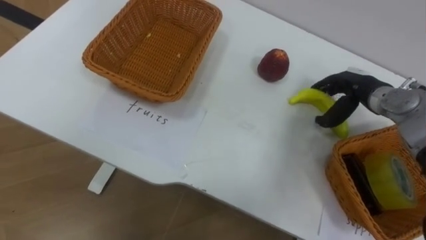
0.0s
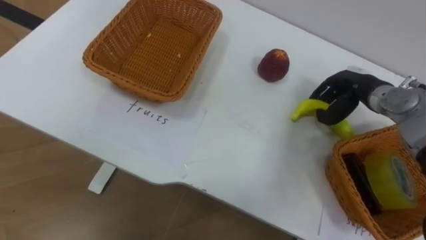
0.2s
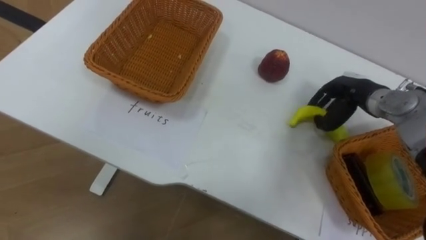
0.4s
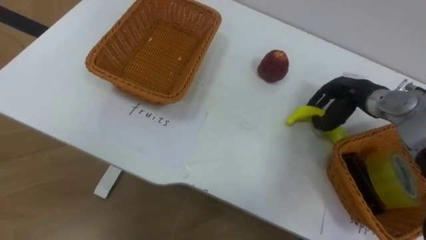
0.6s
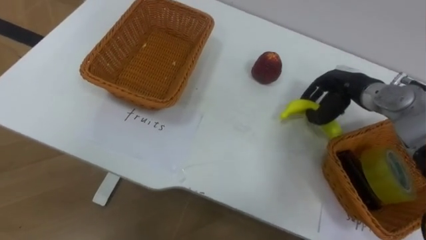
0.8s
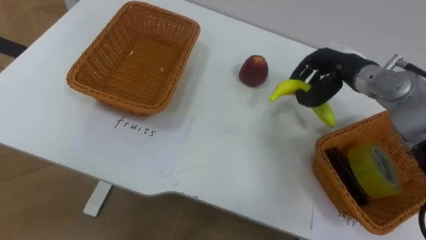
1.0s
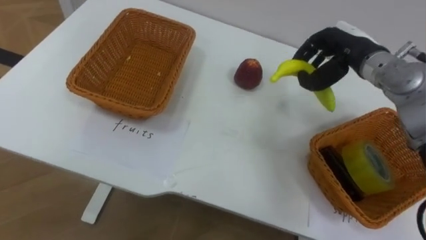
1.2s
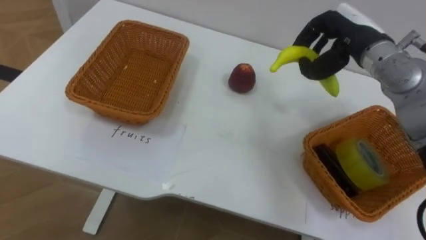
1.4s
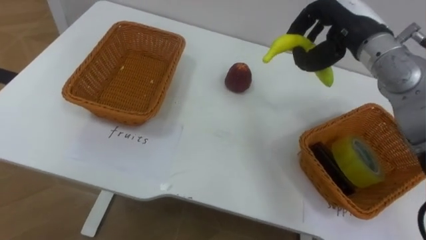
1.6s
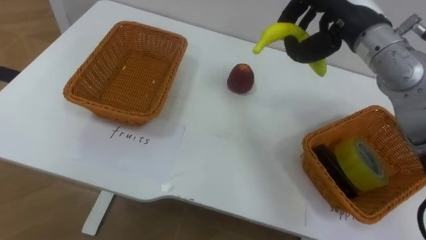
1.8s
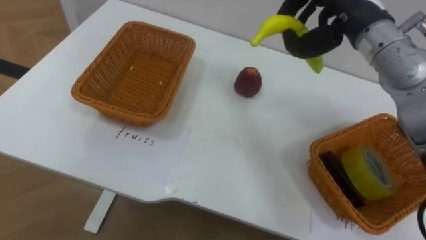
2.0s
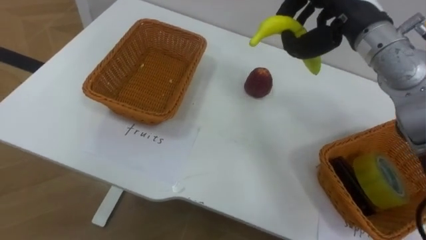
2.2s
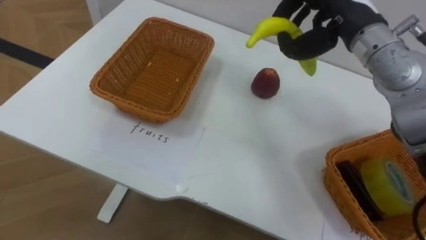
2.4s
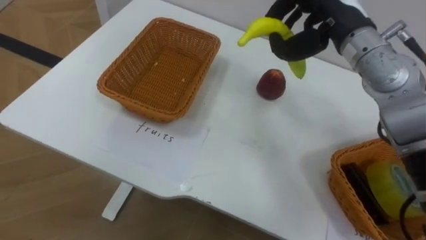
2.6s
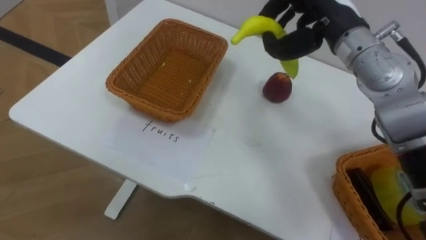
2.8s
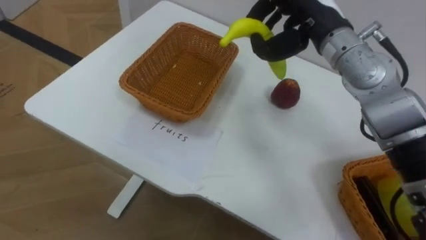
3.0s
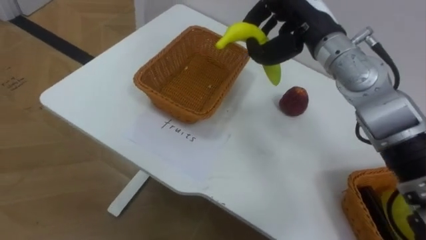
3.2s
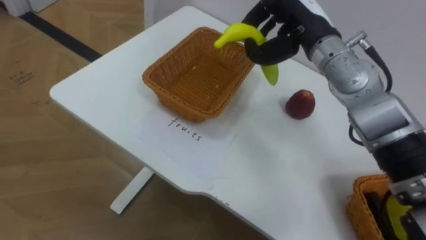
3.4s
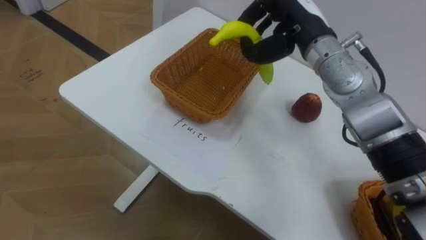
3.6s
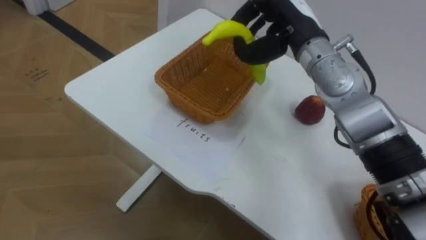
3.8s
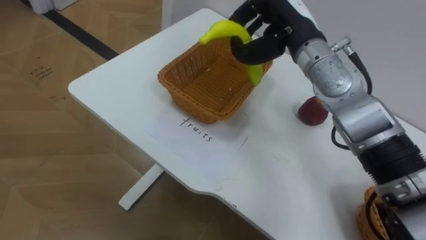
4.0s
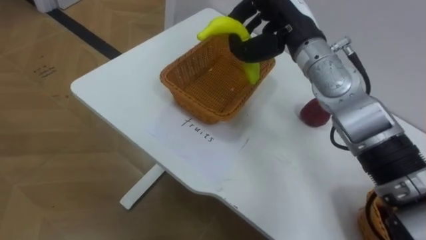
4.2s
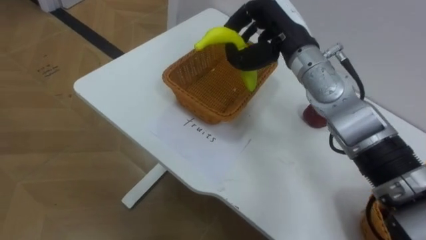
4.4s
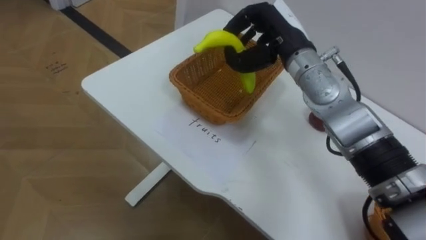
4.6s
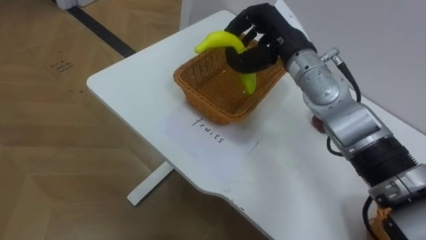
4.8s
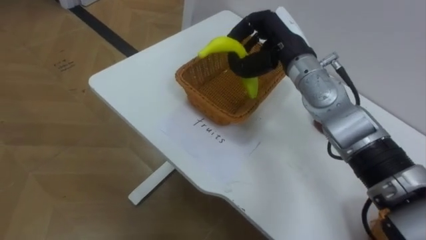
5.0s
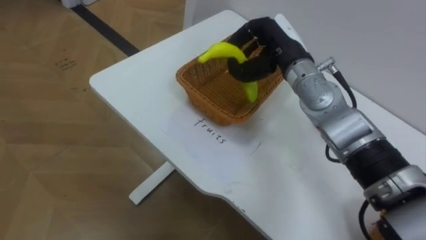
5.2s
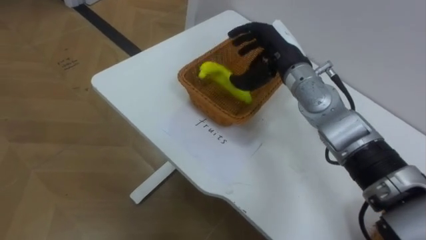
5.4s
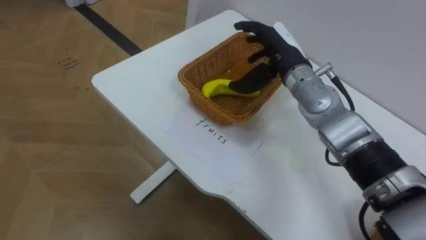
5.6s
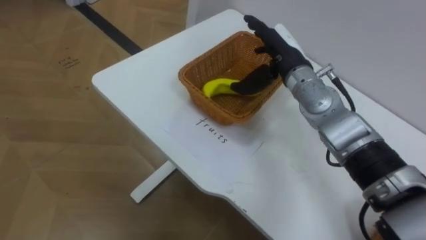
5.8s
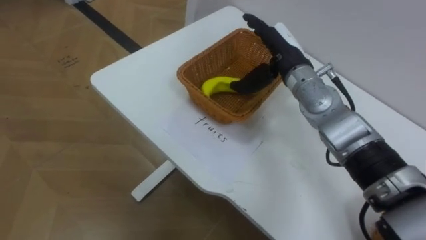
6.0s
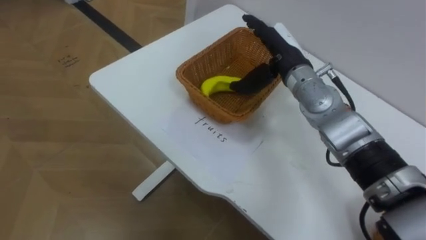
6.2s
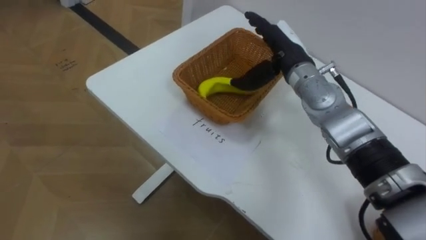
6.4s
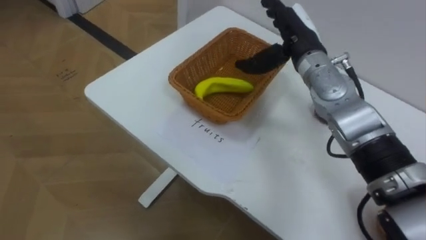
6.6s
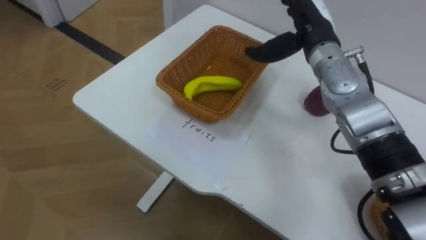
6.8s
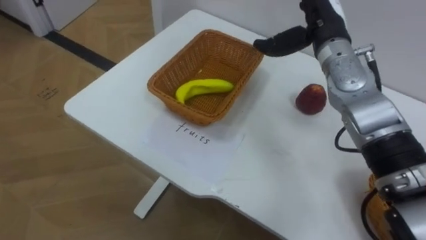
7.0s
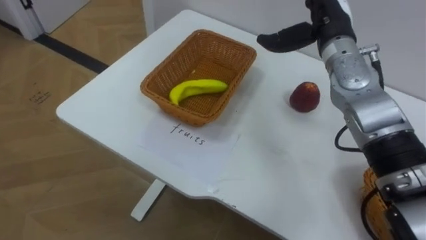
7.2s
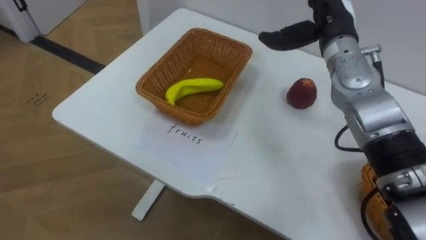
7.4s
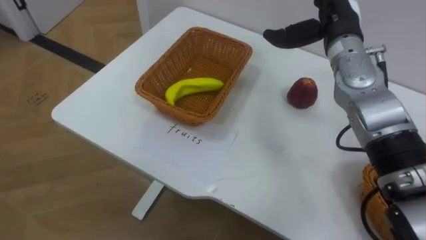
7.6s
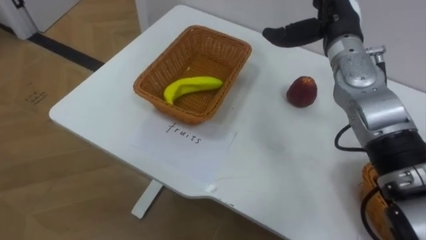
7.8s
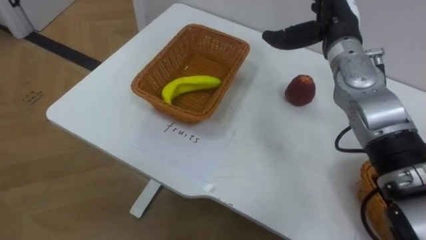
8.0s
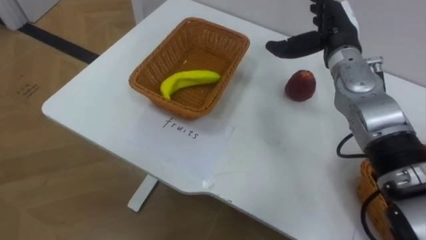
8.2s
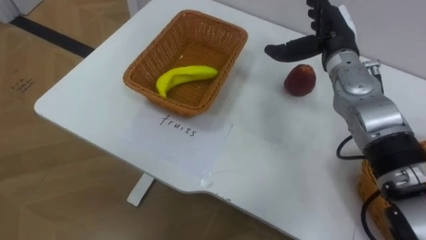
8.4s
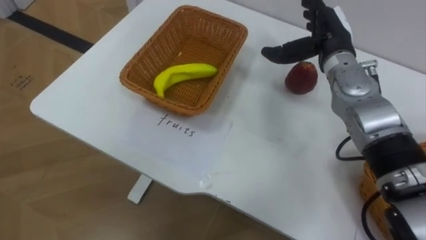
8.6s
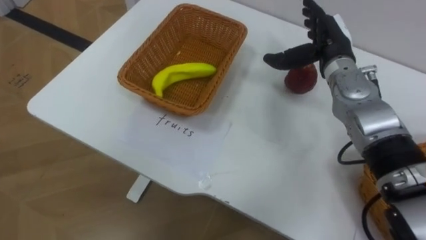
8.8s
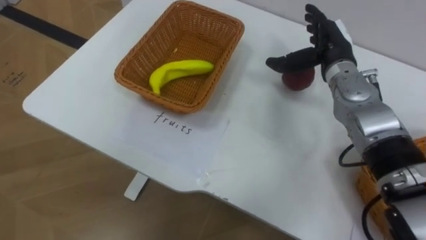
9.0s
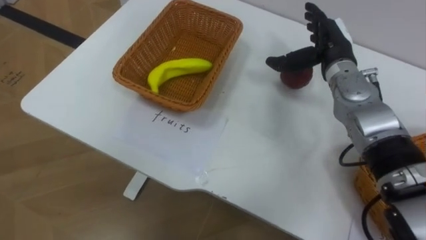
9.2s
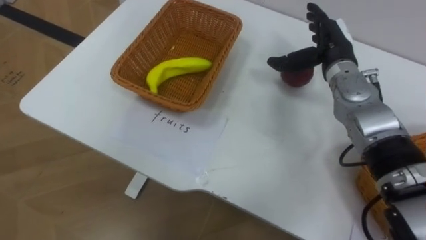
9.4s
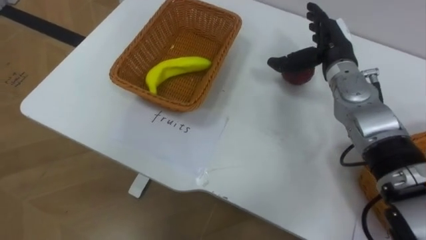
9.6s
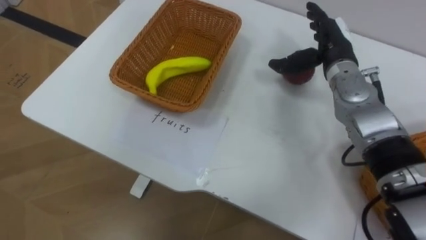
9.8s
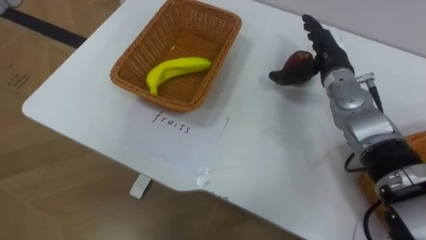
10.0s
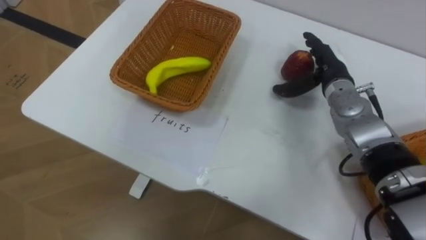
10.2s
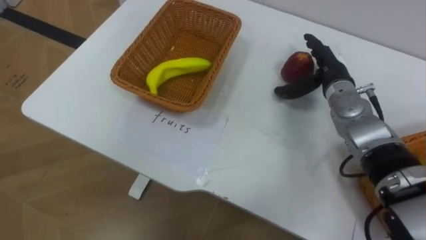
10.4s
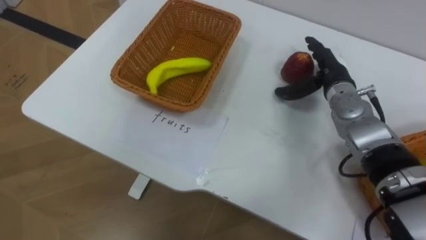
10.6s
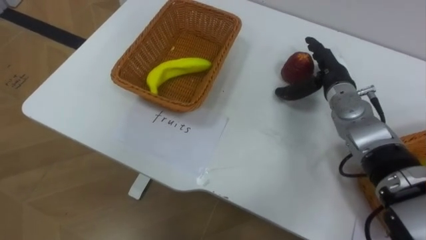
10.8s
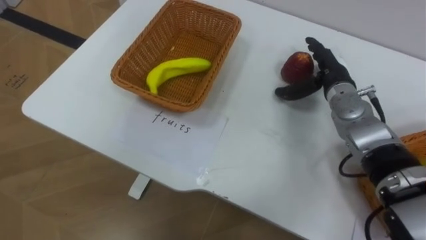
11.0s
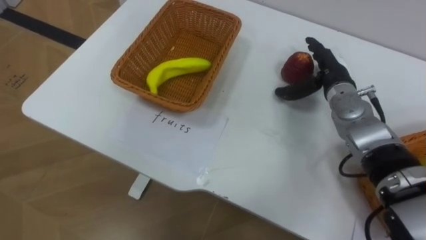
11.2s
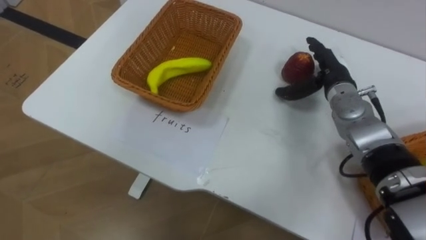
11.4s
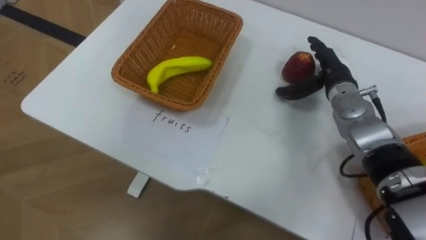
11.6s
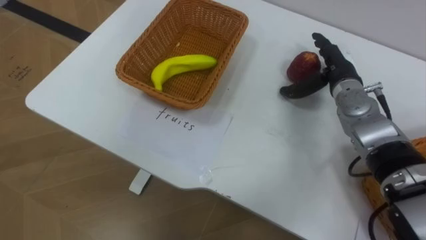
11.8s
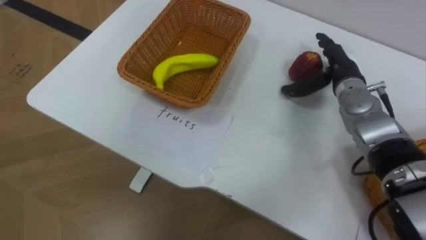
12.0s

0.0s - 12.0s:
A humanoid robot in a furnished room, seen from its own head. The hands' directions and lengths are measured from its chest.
Task of the whole recording: Separate the items on the table and place them into the two baskets.
0.0s - 1.6s: The right hand goes some 15 cm upward and to the left, and closes its fingers.
1.6s - 3.0s: The right hand goes approximately 5 cm to the left.
4.4s - 6.0s: The right hand goes approximately 5 cm downward, and opens.
6.0s - 7.6s: The right hand travels to the right and upward by roughly 10 cm.
7.6s - 9.0s: The right hand shifts about 5 cm downward.

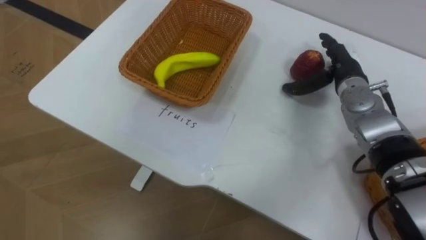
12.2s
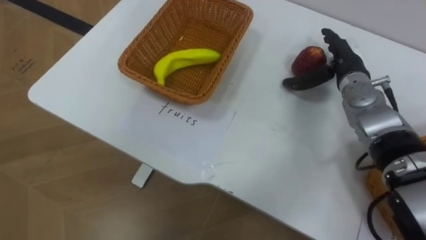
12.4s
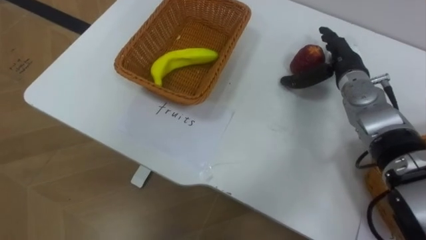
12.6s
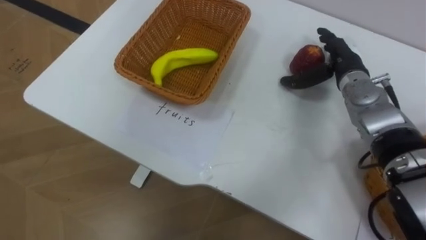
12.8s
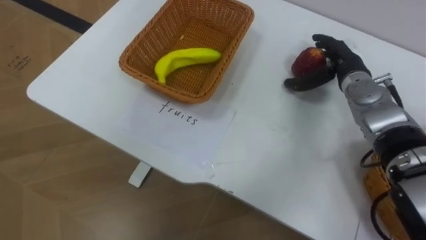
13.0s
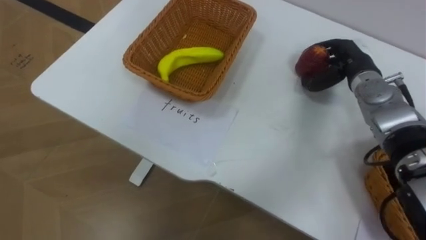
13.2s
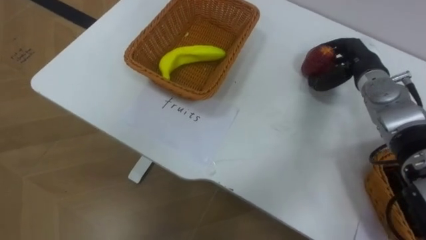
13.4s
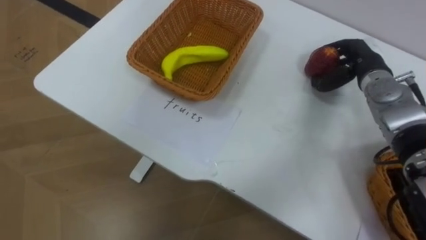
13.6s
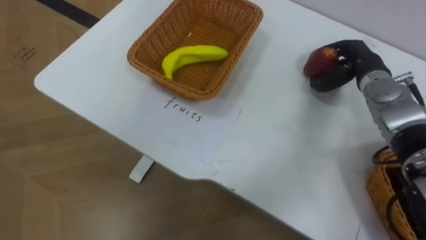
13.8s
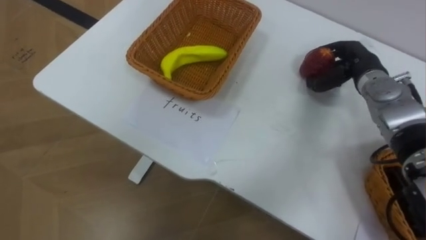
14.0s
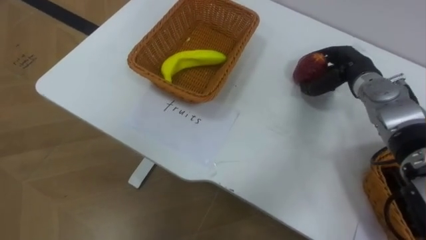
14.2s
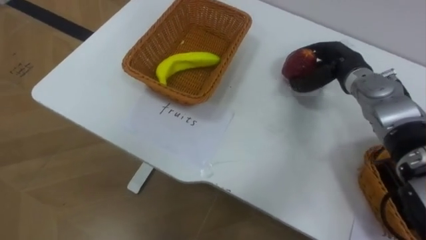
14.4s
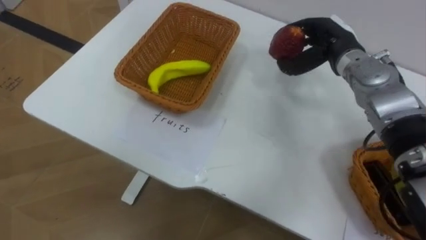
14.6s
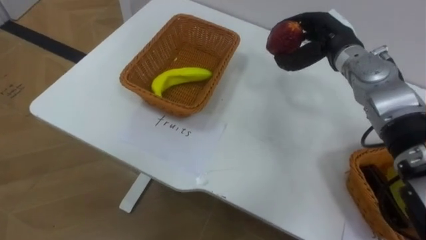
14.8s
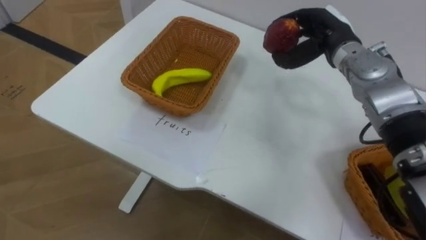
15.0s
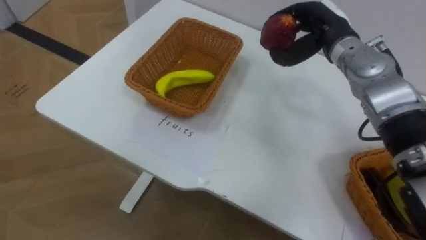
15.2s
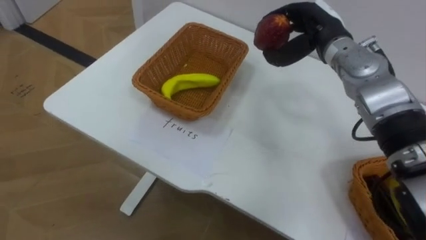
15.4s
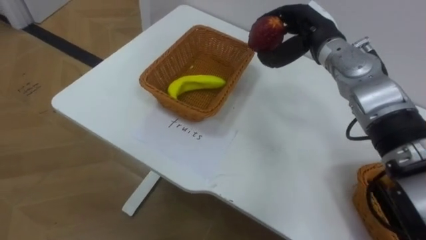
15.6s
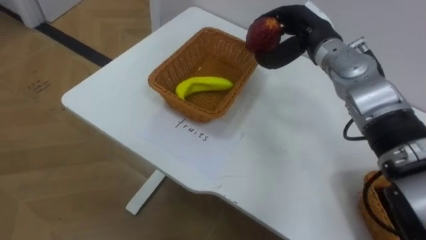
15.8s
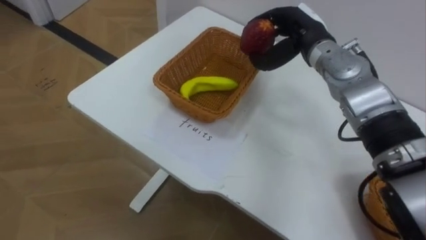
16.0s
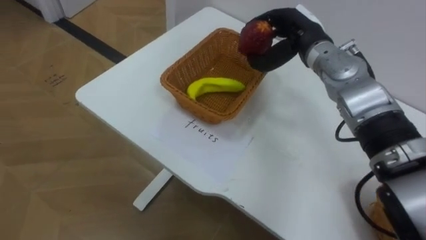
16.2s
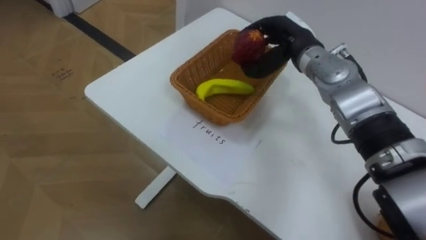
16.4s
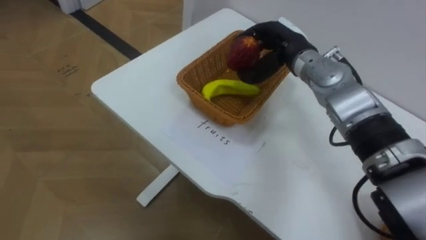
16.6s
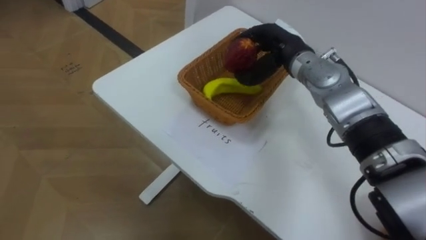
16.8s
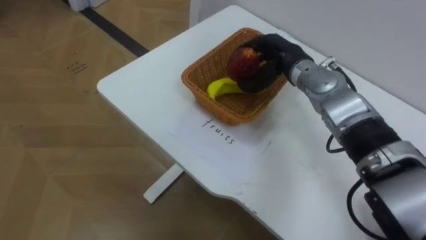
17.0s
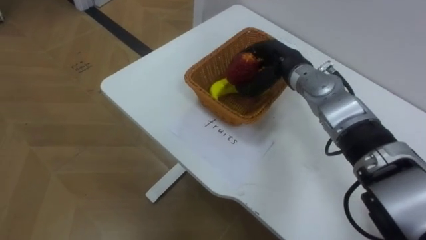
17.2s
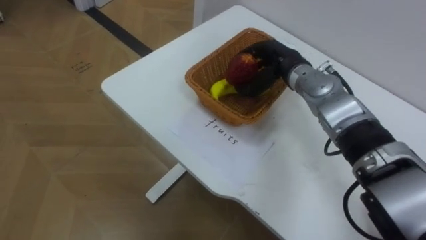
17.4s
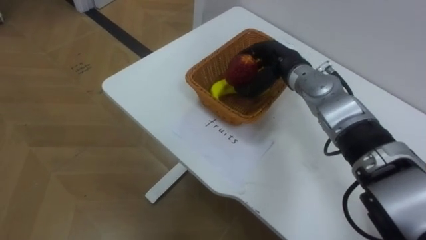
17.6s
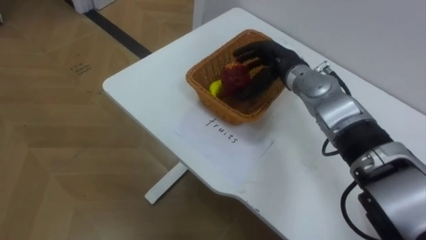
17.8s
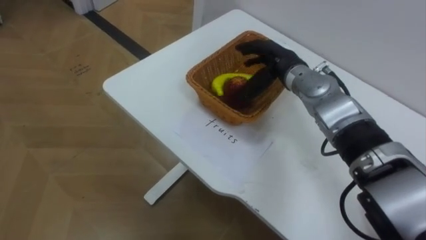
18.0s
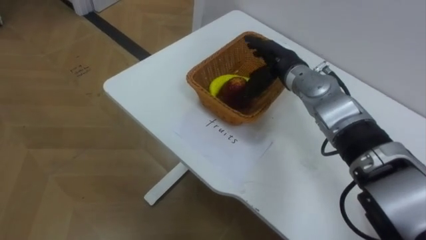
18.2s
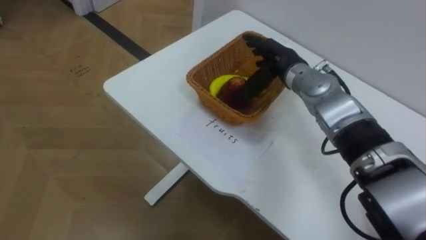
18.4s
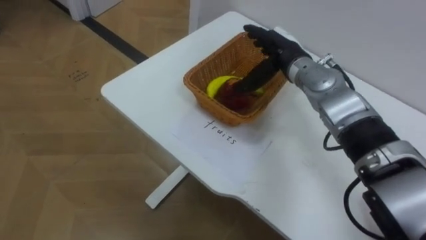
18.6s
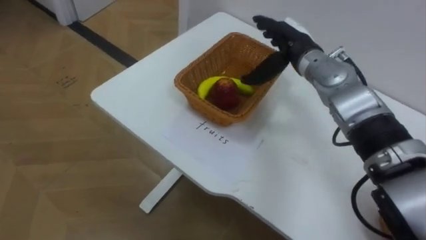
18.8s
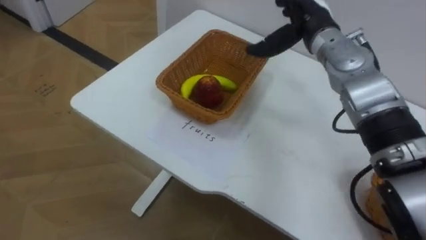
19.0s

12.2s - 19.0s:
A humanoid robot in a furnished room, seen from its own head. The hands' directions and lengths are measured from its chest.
Task of the whole recording: Separate the items on the table and place them into the two baskets.
12.2s - 13.6s: The right hand closes up.
13.6s - 15.0s: The right hand travels to the left and upward by some 10 cm.
16.2s - 17.6s: The right hand heads downward, covering roughly 5 cm.
17.6s - 19.0s: The right hand is displaced upward by roughly 10 cm, and opens.
